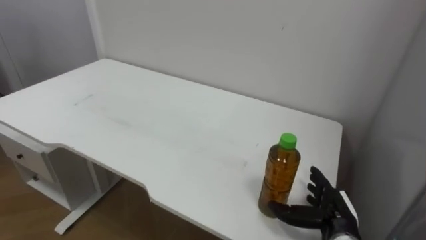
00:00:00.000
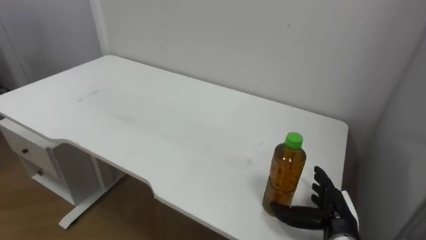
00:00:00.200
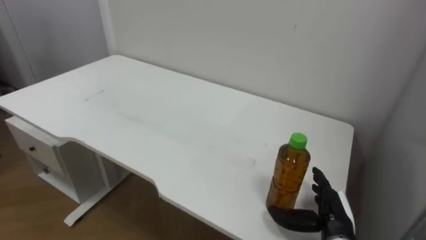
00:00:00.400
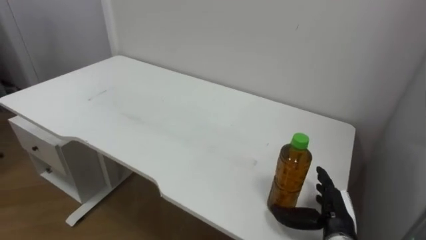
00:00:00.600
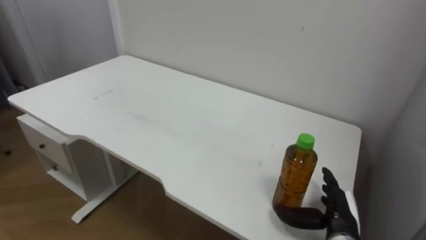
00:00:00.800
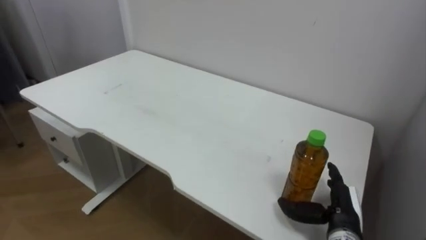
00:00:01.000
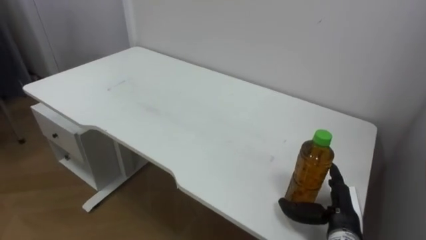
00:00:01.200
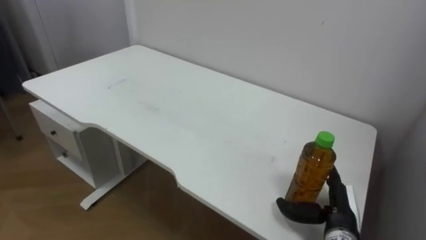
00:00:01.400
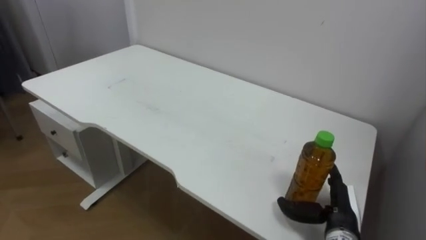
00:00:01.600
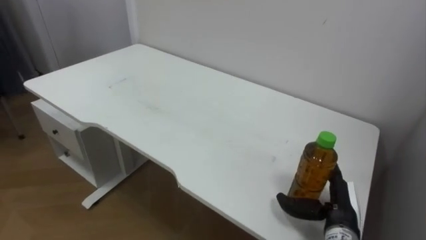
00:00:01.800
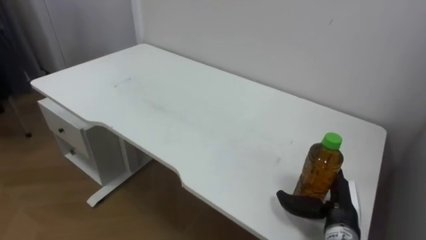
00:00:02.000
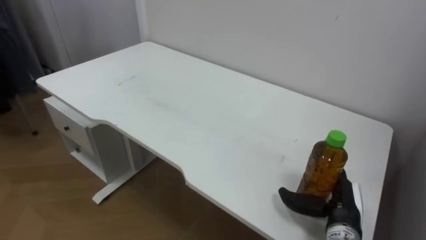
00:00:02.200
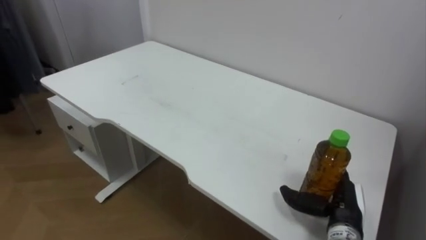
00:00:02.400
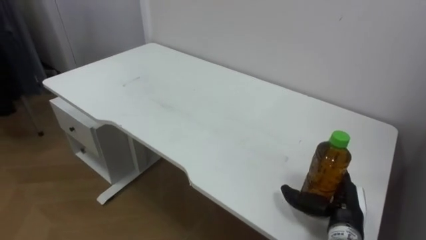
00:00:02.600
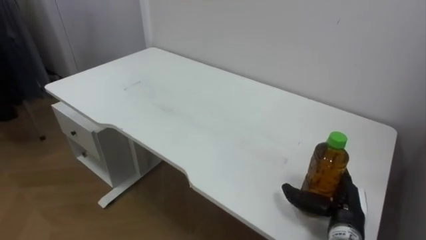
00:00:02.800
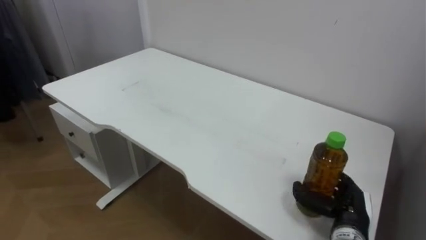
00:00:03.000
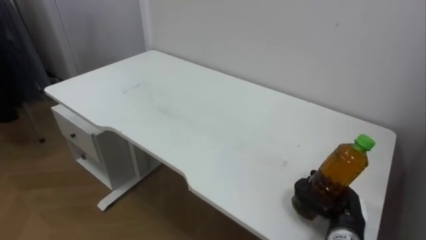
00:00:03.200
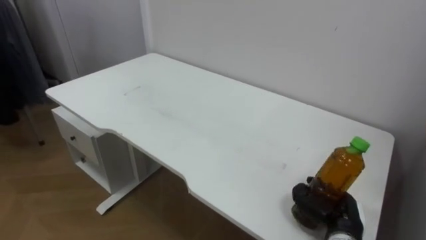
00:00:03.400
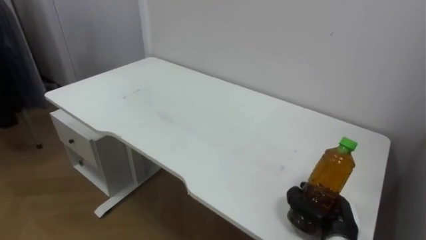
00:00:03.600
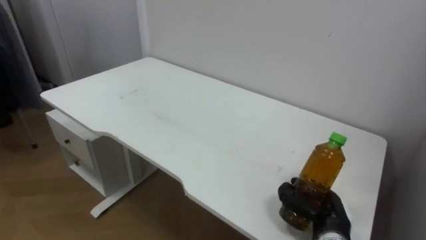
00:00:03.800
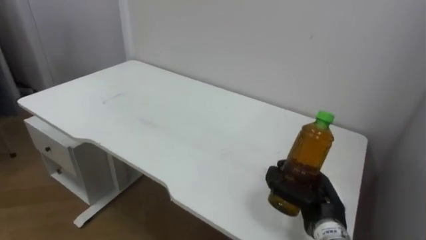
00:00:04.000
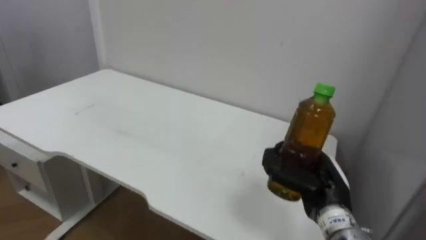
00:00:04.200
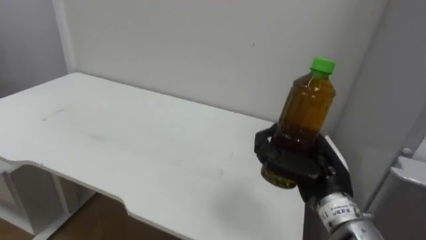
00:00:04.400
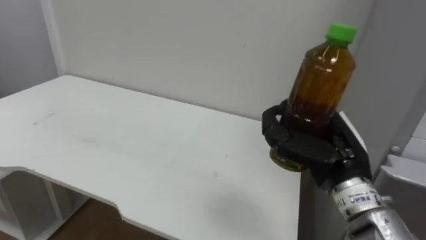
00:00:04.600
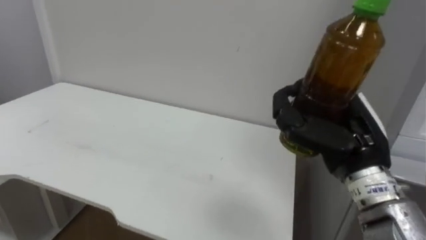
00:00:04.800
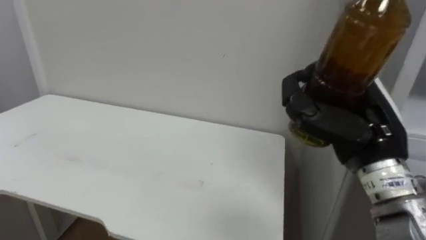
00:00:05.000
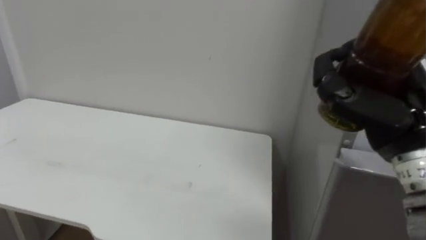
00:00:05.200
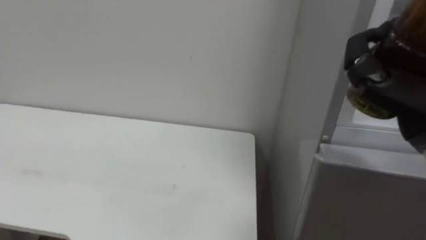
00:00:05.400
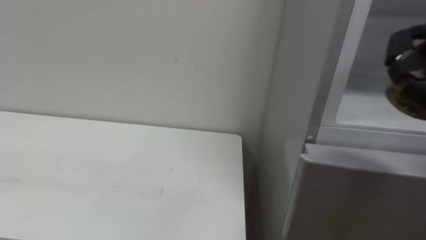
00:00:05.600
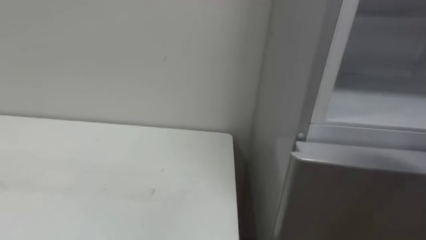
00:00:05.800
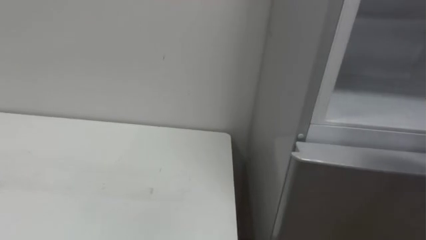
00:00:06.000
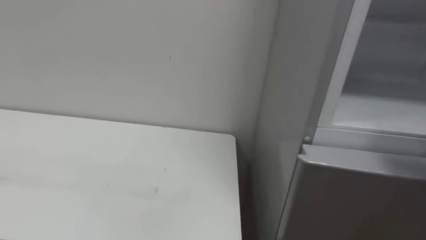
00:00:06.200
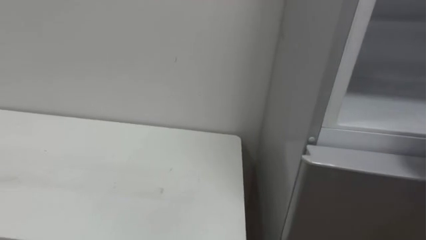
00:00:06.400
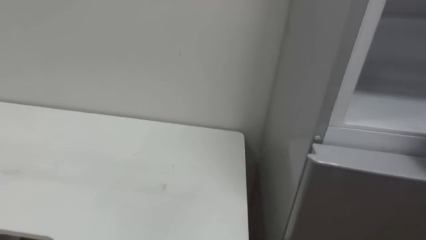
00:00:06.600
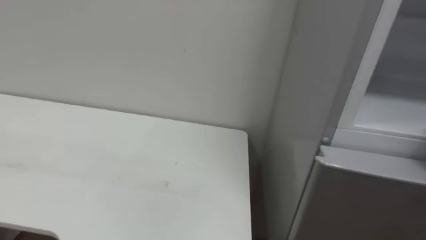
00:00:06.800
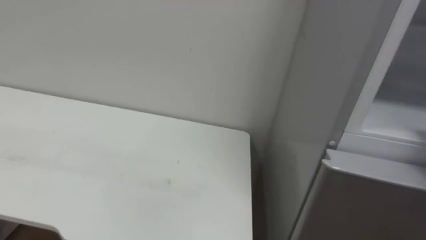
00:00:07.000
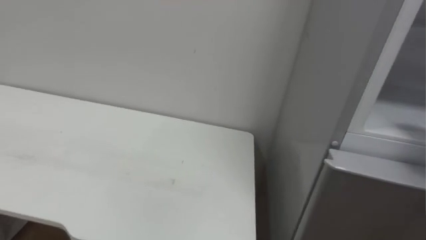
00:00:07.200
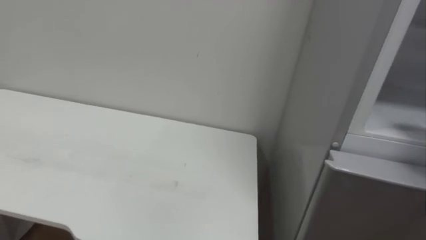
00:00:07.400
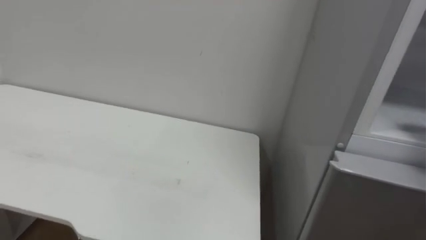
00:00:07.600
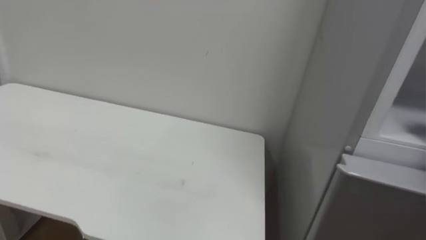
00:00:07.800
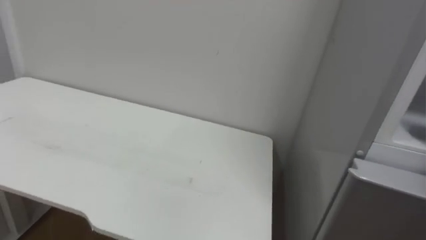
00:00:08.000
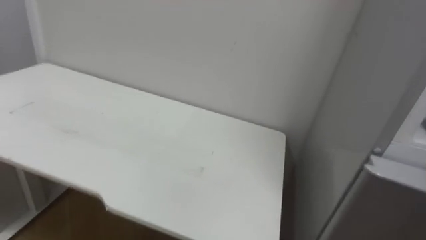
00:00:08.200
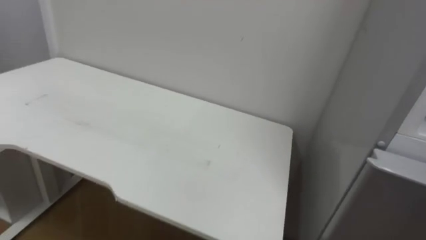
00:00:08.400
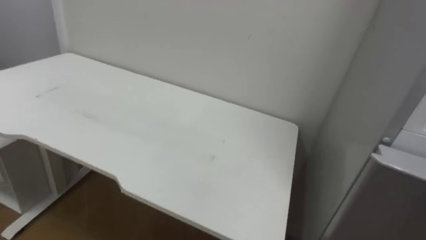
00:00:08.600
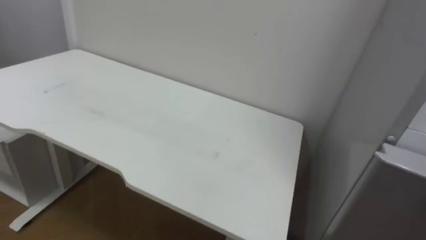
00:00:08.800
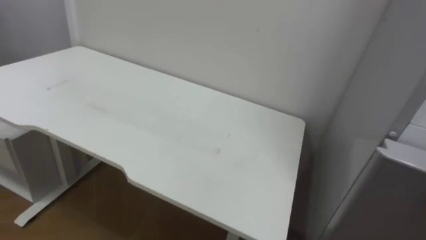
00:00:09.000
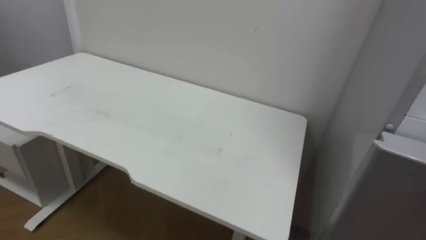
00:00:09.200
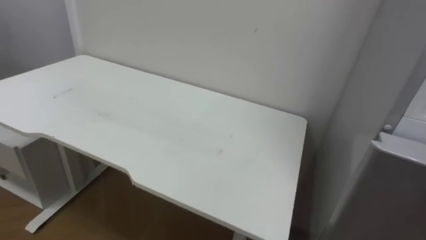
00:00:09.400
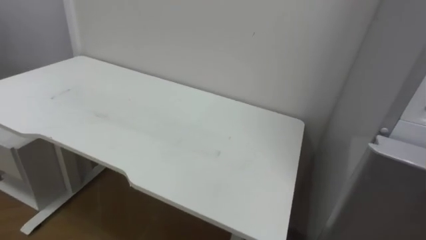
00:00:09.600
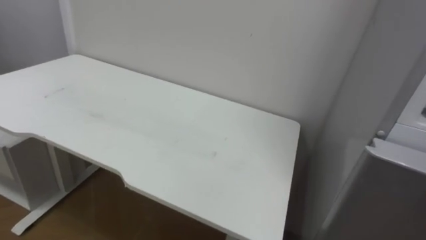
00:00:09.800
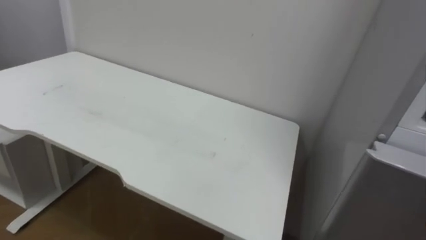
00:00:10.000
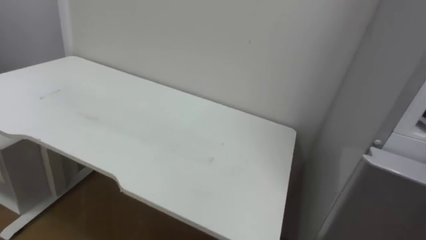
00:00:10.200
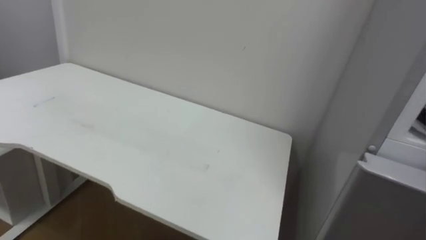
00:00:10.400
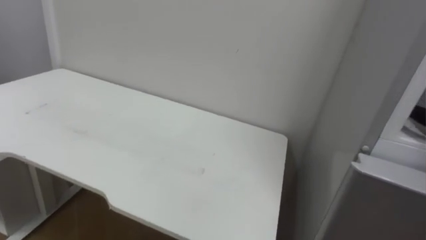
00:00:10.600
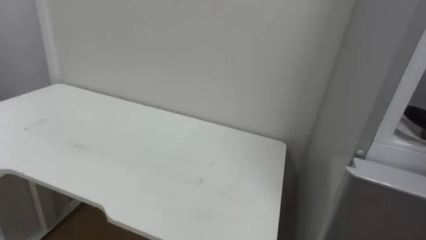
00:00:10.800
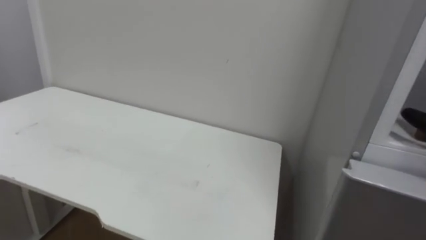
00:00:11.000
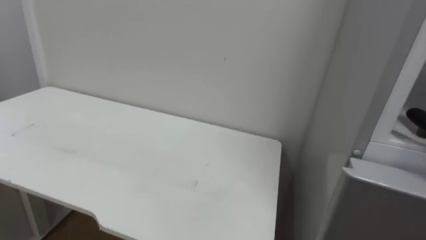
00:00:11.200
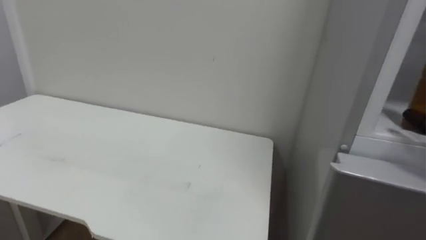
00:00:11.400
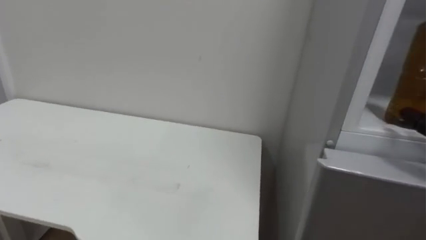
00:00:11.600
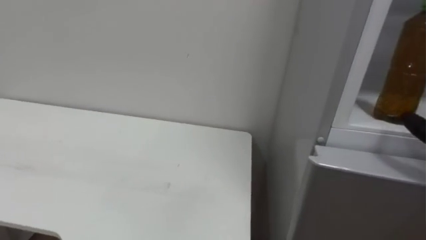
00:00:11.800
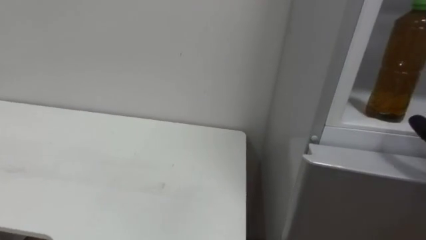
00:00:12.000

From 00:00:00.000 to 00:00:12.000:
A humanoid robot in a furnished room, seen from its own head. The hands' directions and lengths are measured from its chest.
Task of the whole recording: Open the upper refrigerator door, put the drink from the table into the refrigerator, and then close the refrigerator door.
From 00:00:03.000 to 00:00:04.400: The right hand goes about 15 cm upward and to the left, and closes.

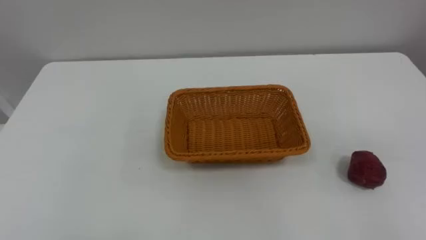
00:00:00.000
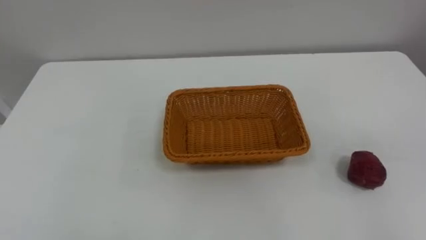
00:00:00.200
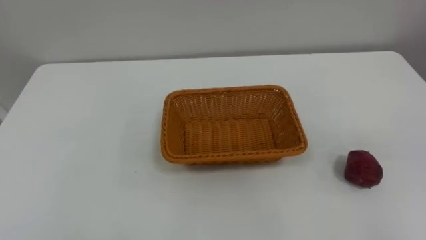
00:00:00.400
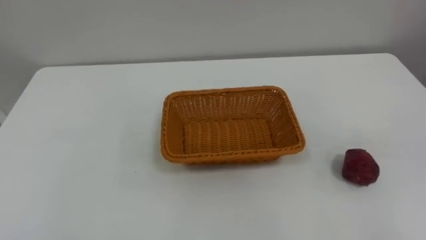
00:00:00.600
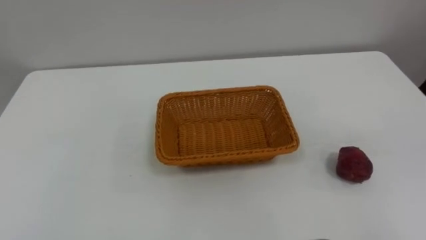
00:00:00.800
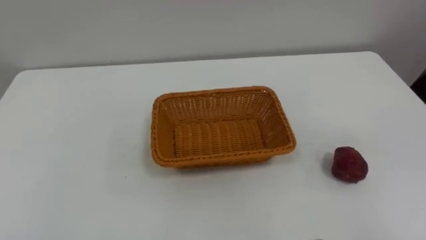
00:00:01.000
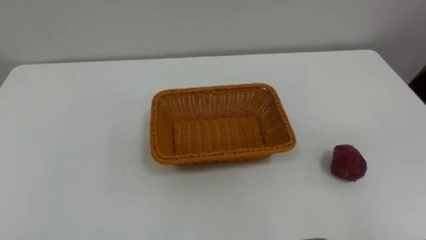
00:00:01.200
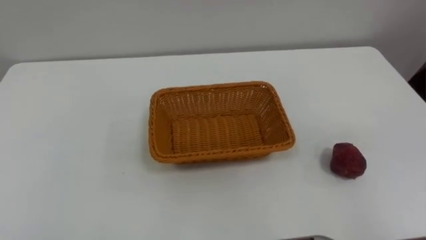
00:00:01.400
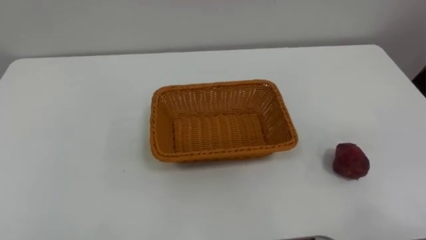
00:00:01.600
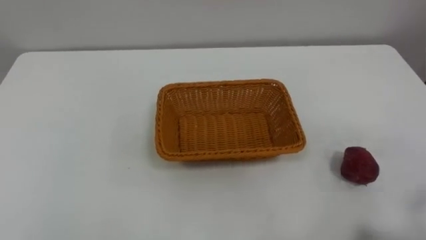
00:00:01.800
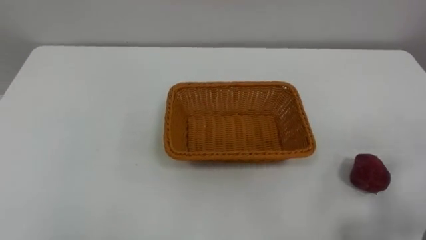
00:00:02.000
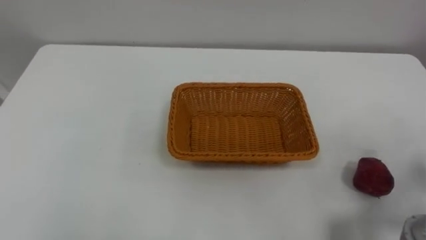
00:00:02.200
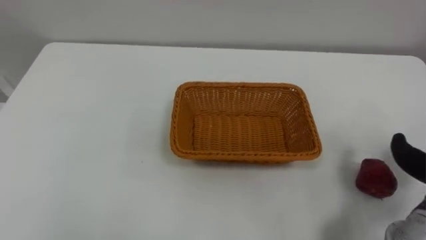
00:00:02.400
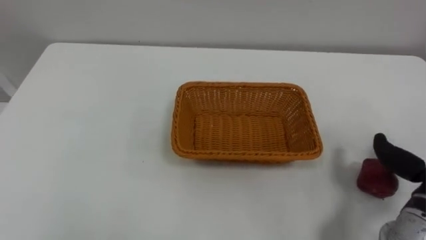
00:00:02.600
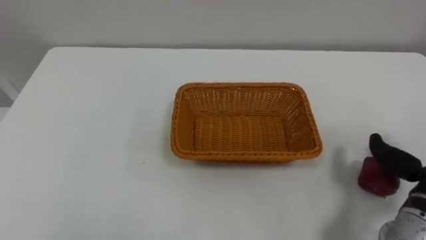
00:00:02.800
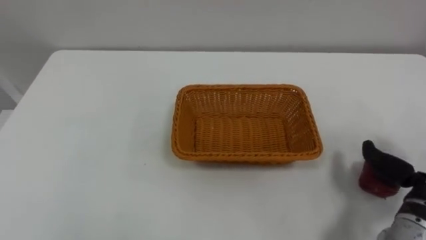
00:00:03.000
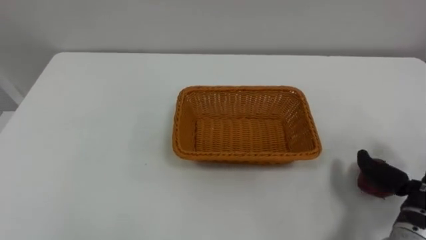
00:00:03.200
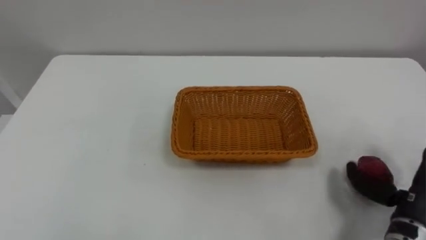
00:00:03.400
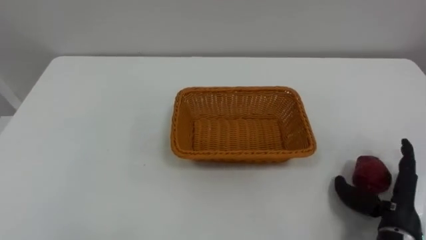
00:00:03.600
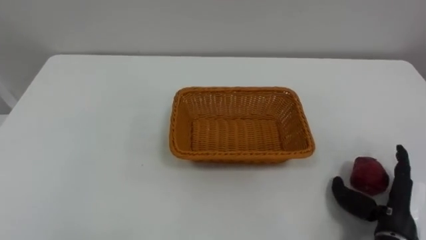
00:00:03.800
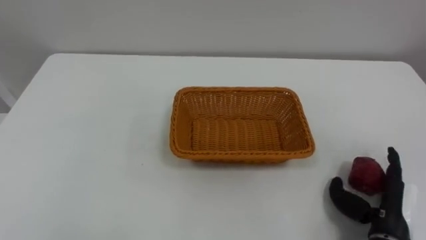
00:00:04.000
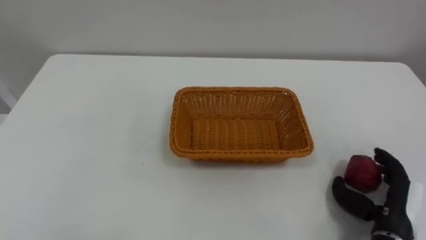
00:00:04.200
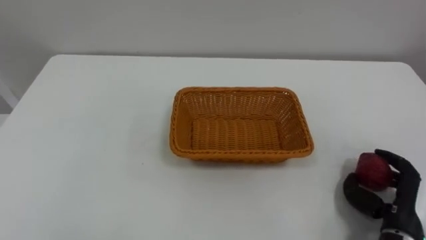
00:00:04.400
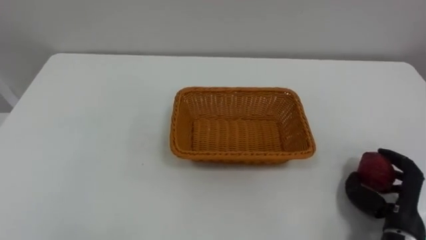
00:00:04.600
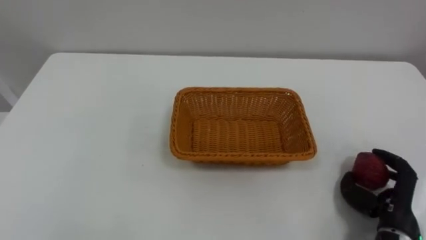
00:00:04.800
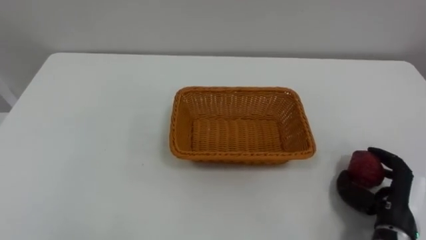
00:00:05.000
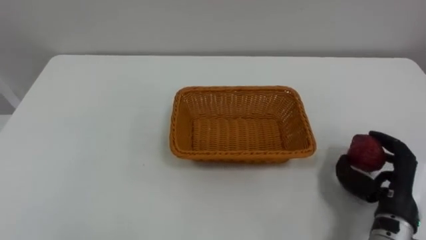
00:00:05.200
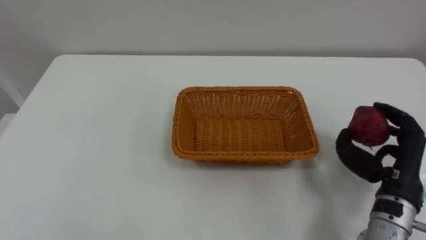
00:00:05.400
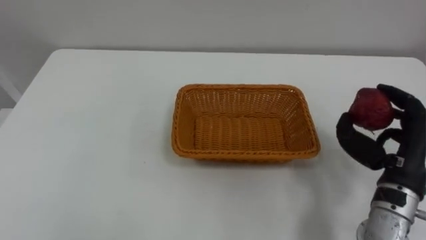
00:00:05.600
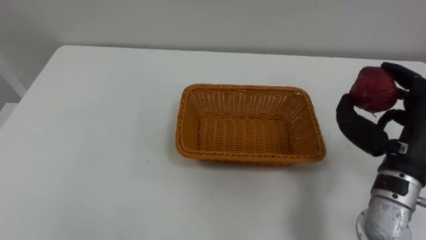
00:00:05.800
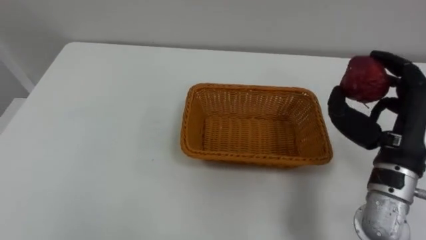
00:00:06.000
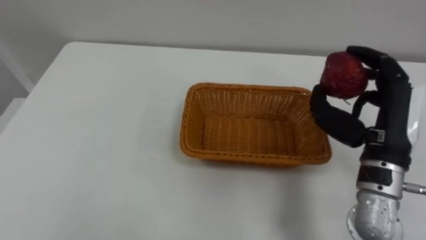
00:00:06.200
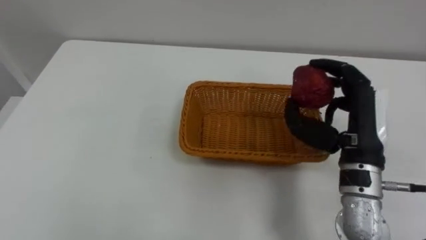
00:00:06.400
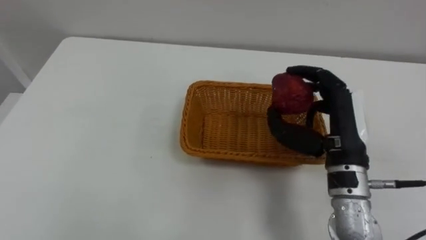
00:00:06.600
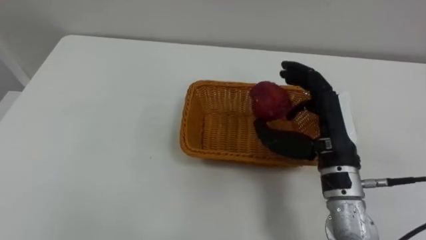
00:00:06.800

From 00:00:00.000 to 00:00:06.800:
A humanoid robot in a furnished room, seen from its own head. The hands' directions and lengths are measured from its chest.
Task of the whole recording: Pick the apple and place it in the box.
From 00:00:04.000 to 00:00:05.400: The right hand is displaced upward by some 10 cm, and closes its fingers.
From 00:00:05.400 to 00:00:06.800: The right hand travels to the left and upward by approximately 15 cm.
